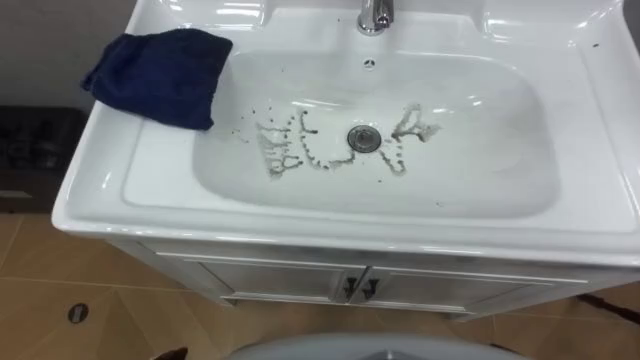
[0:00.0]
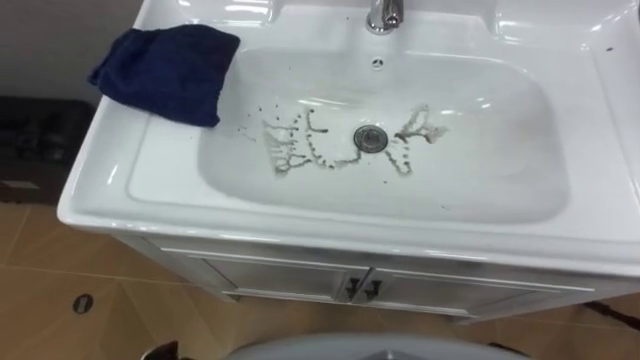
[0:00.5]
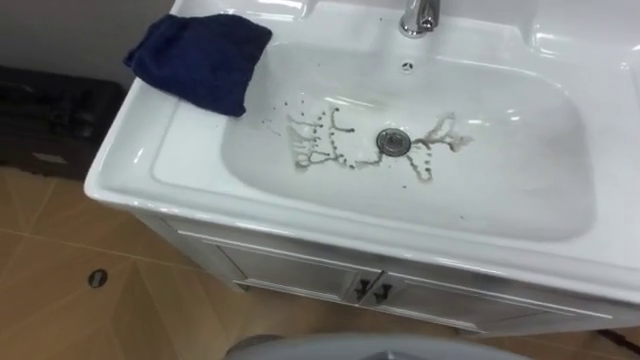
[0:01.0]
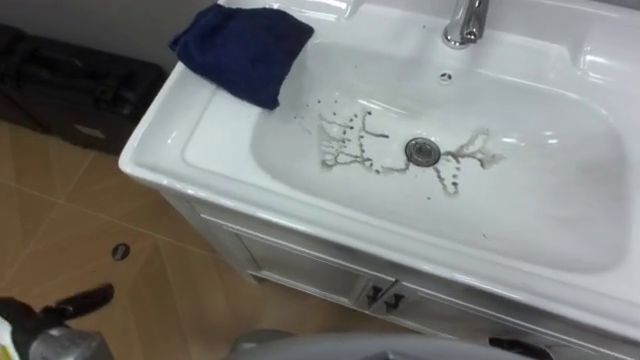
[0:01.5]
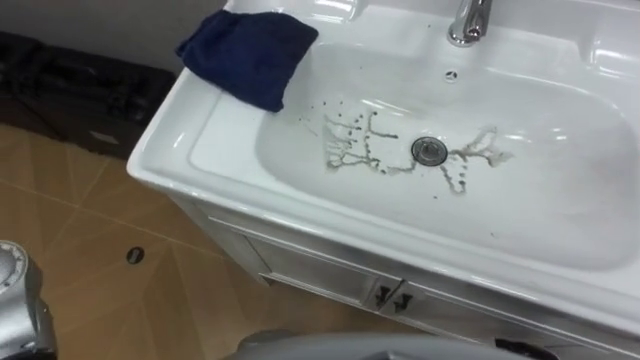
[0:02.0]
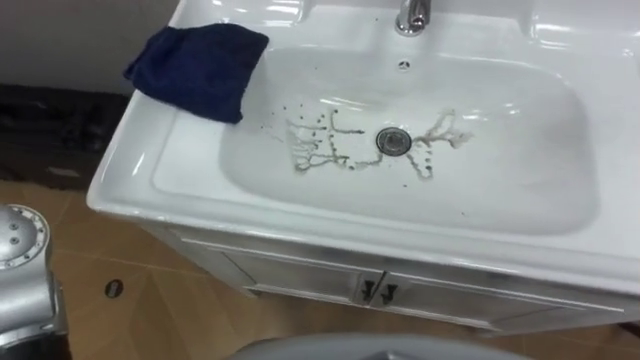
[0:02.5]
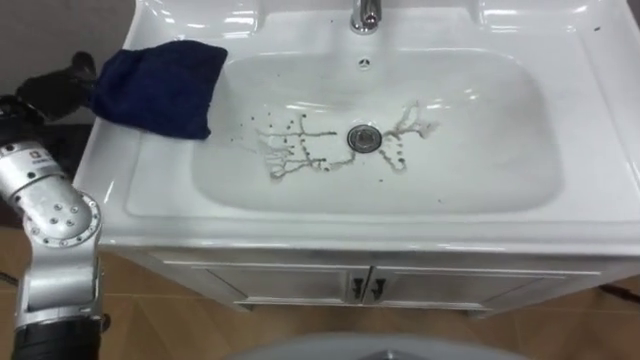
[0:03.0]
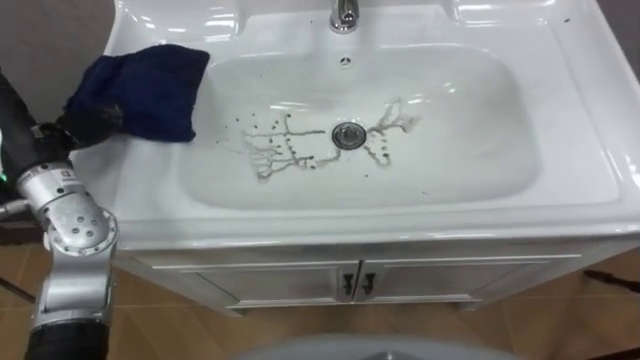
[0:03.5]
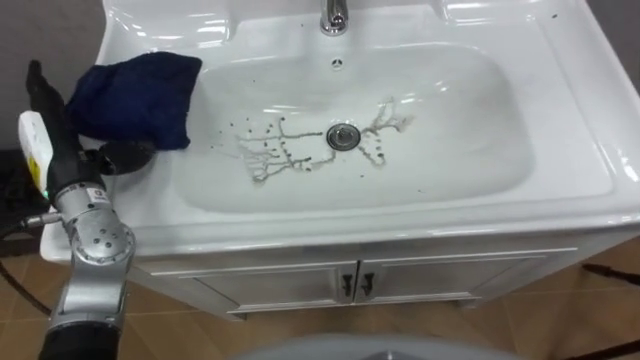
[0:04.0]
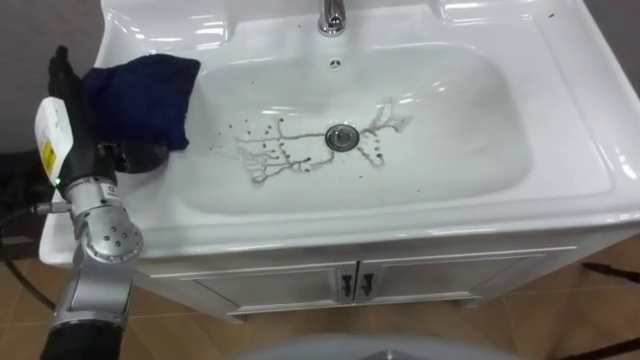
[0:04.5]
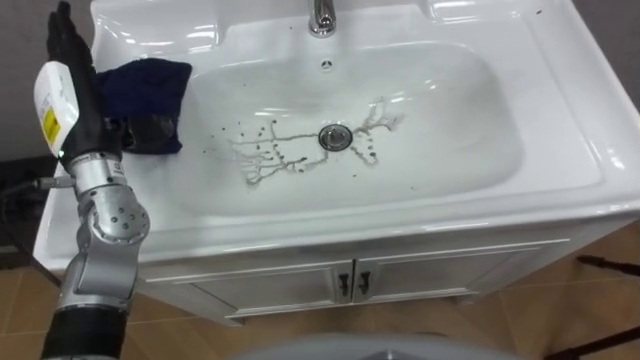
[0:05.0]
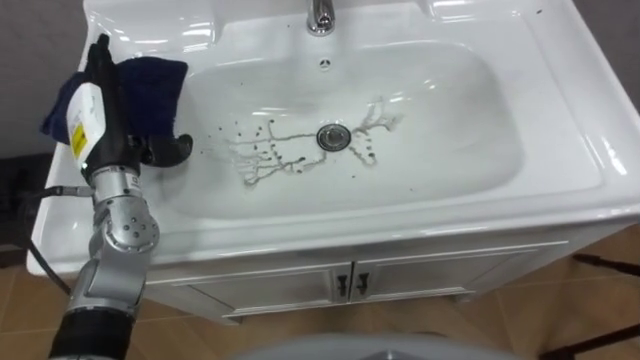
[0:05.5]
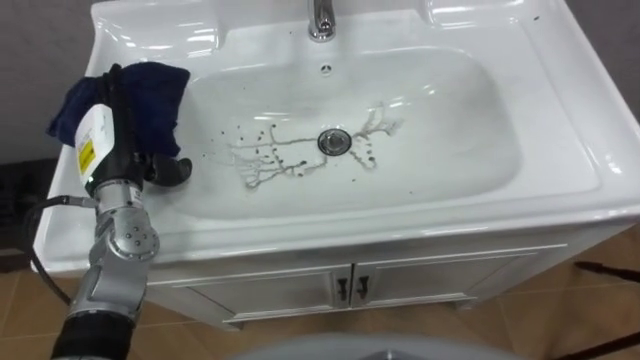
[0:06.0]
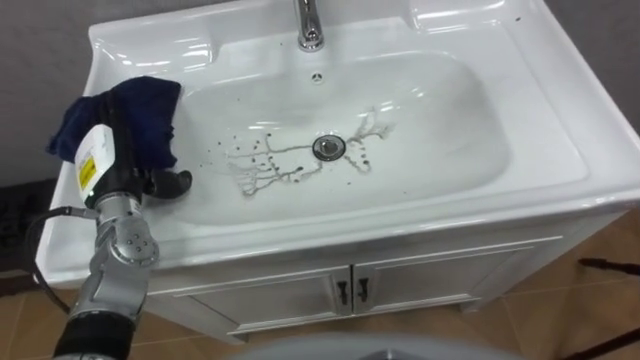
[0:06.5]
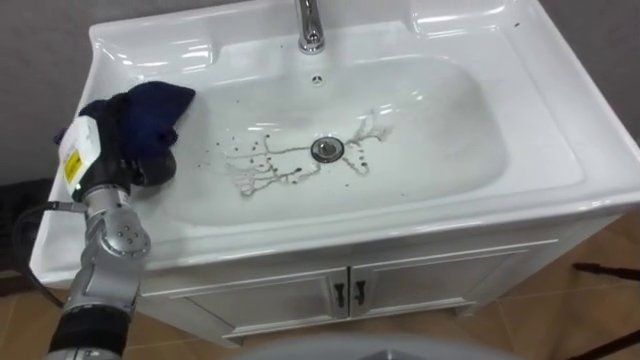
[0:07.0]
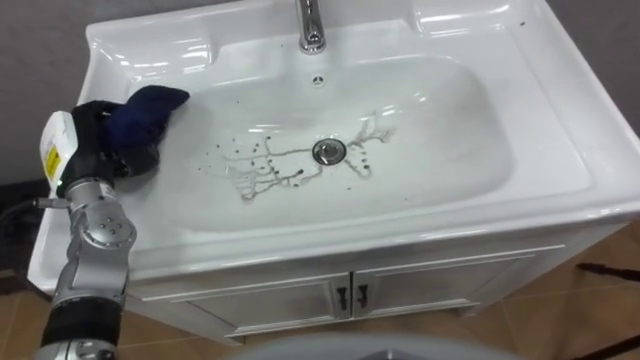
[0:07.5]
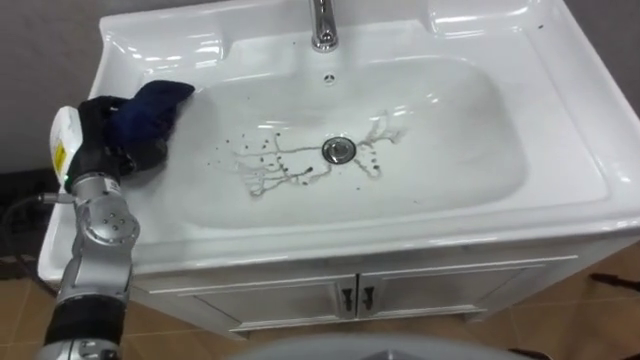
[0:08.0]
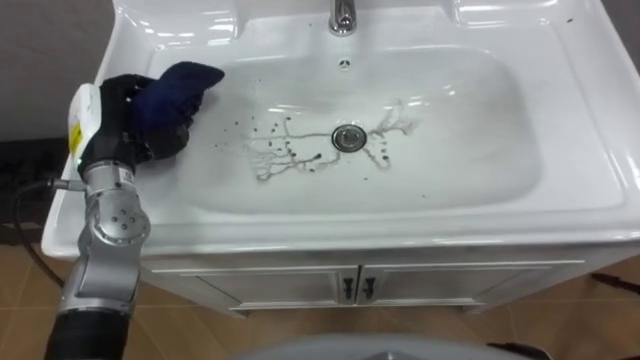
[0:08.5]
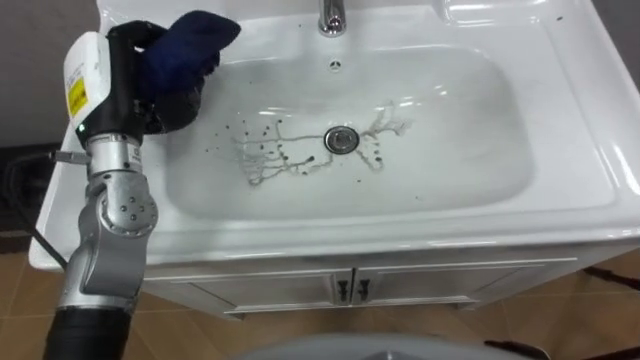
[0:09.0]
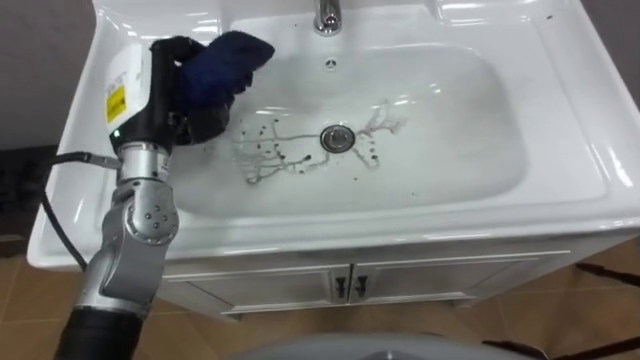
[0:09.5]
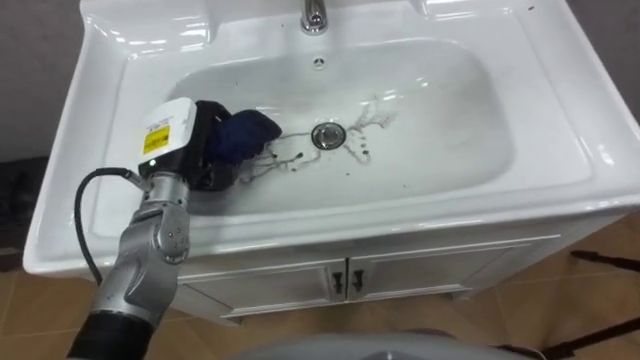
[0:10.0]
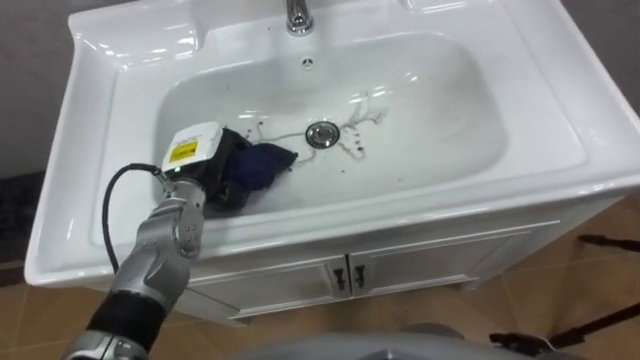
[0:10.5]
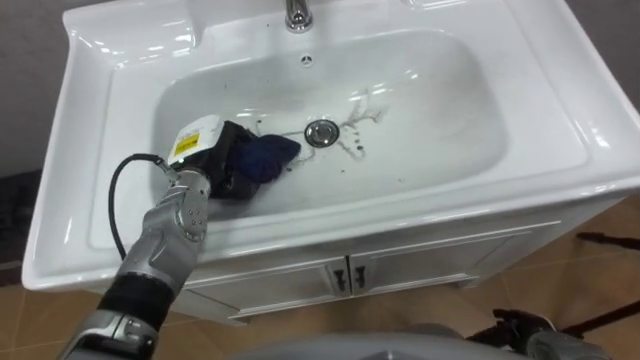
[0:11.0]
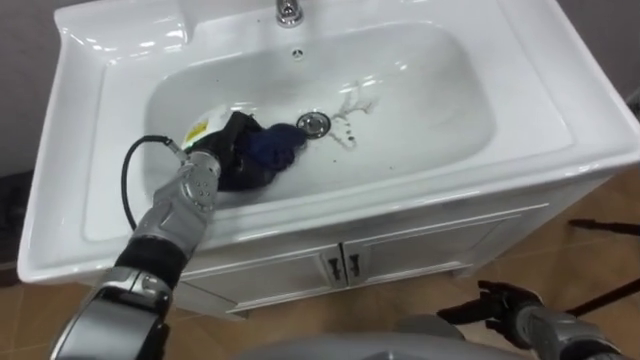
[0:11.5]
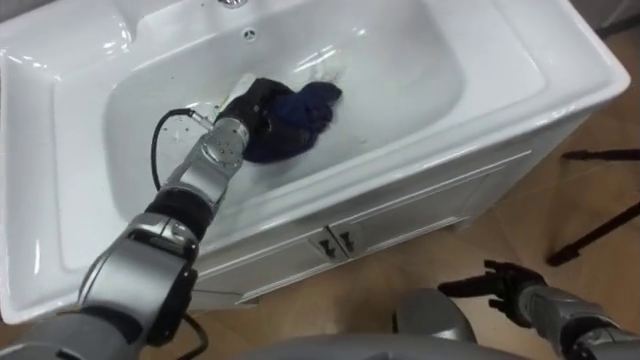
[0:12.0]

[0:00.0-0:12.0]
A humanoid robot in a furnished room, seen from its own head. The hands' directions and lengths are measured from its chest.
Task of the whole recording: Use the cloth on the right to wipe away the black stain in the sink.
0:04.0 to 0:06.0: The left hand changes place by some 5 cm.
0:06.0 to 0:08.0: The left hand closes.
0:08.0 to 0:10.0: The left hand shifts some 10 cm to the right.
0:10.0 to 0:12.0: The left hand goes some 10 cm to the right and forward.

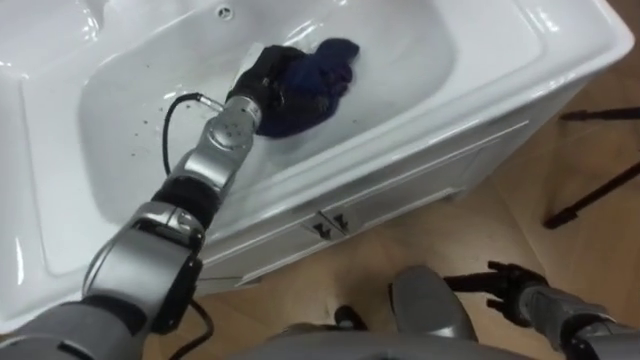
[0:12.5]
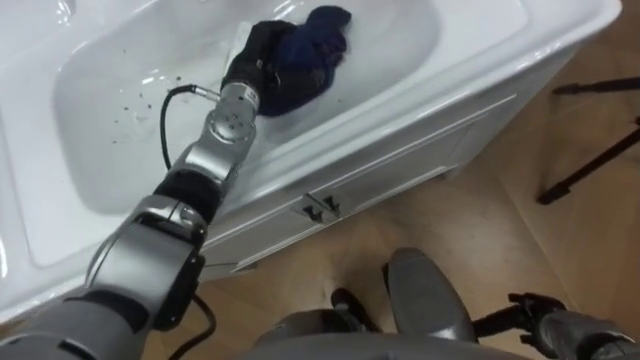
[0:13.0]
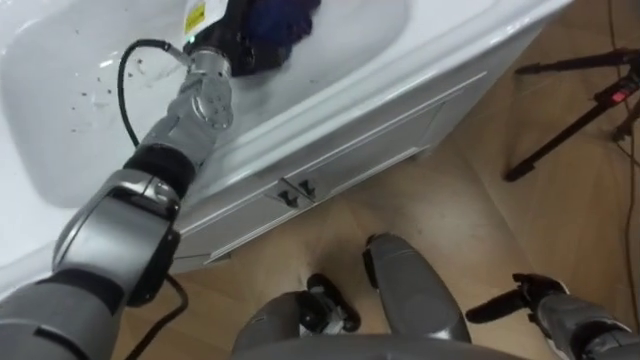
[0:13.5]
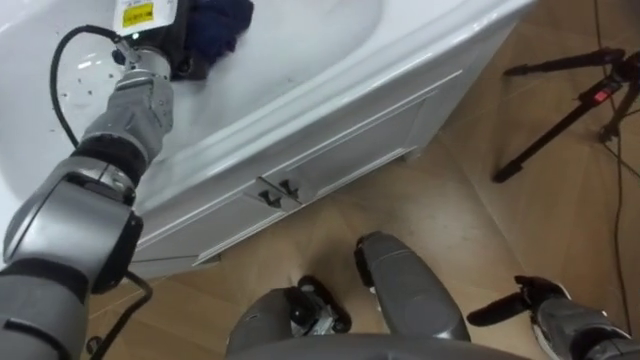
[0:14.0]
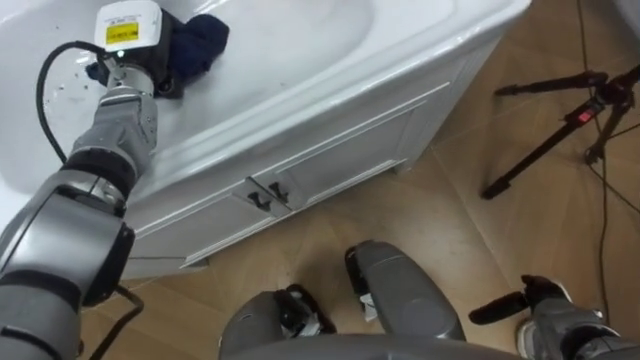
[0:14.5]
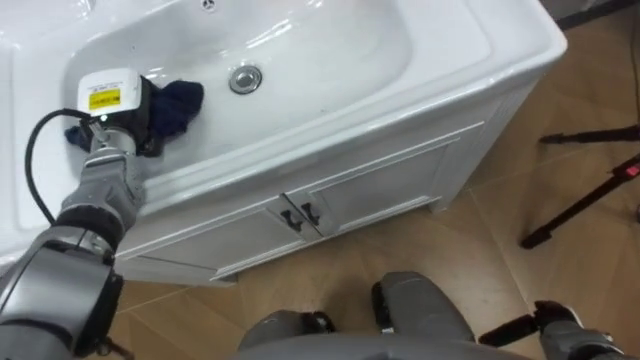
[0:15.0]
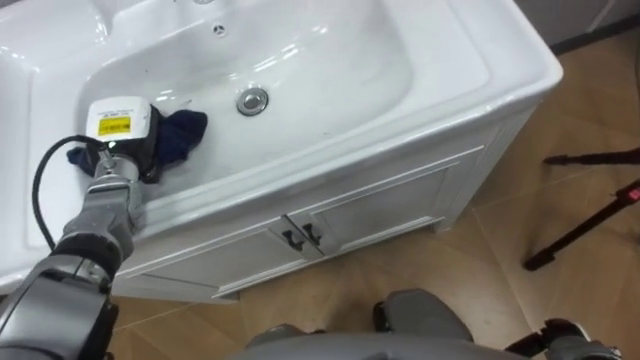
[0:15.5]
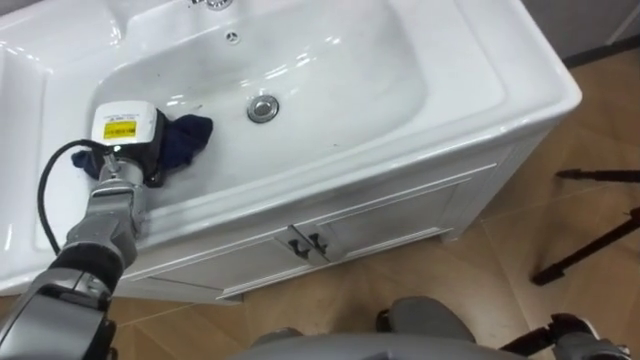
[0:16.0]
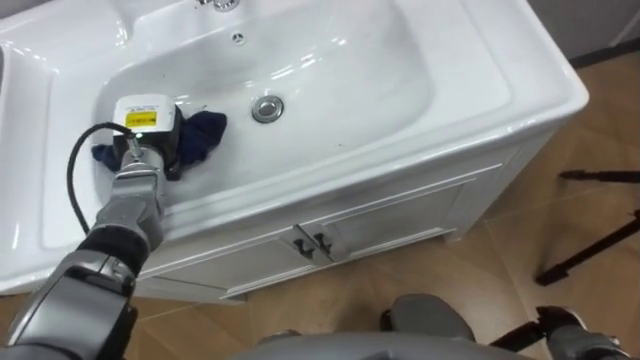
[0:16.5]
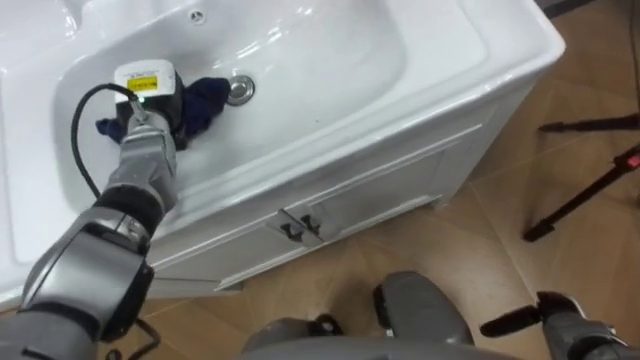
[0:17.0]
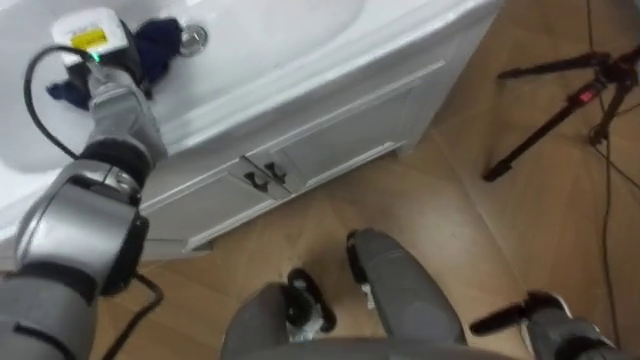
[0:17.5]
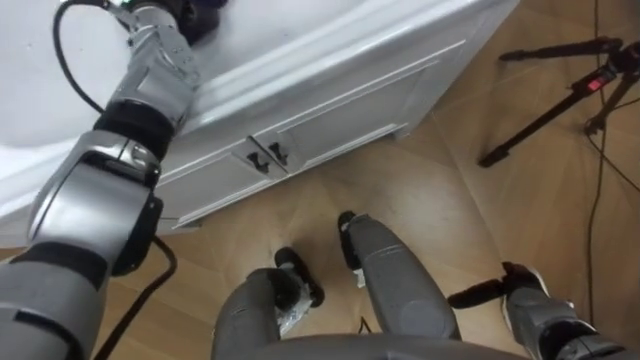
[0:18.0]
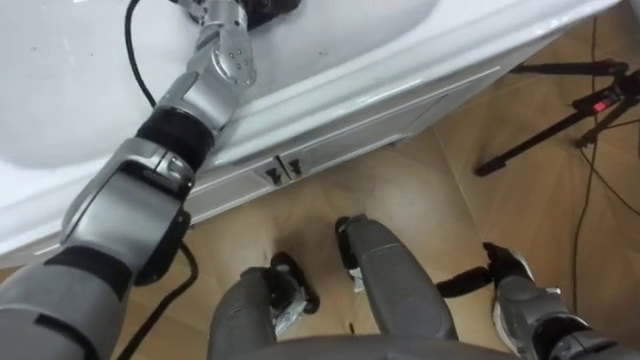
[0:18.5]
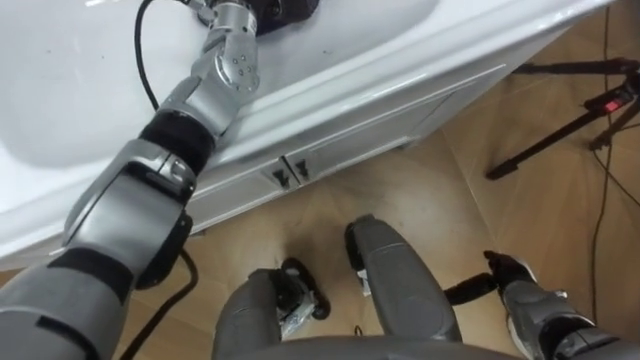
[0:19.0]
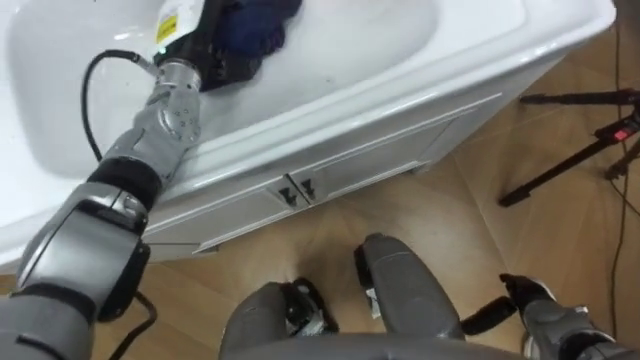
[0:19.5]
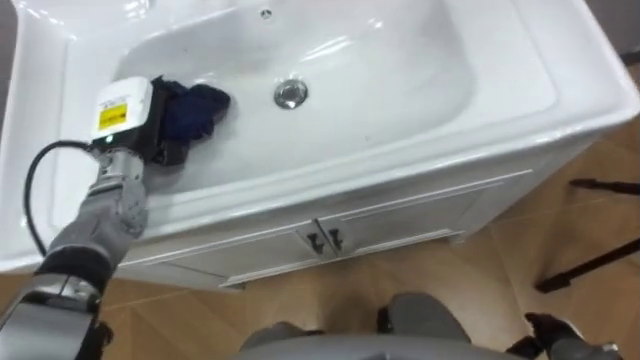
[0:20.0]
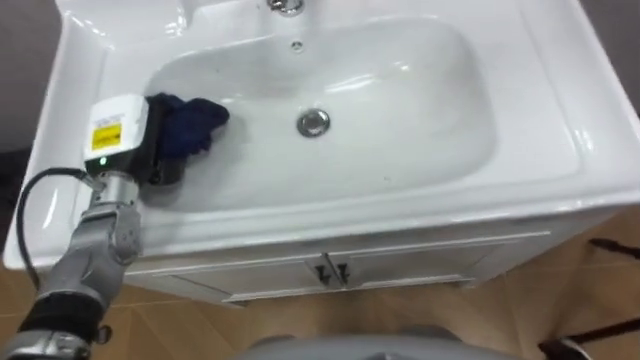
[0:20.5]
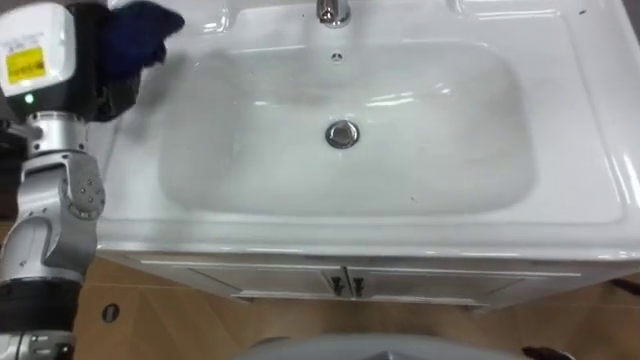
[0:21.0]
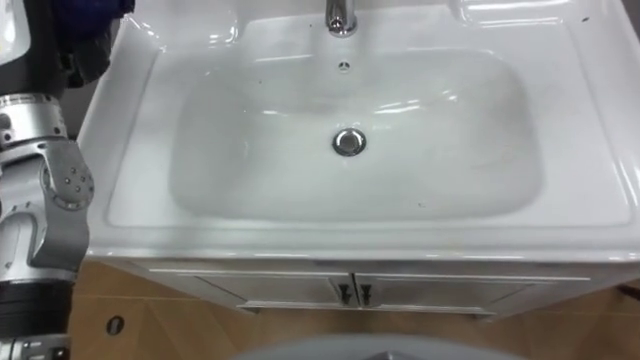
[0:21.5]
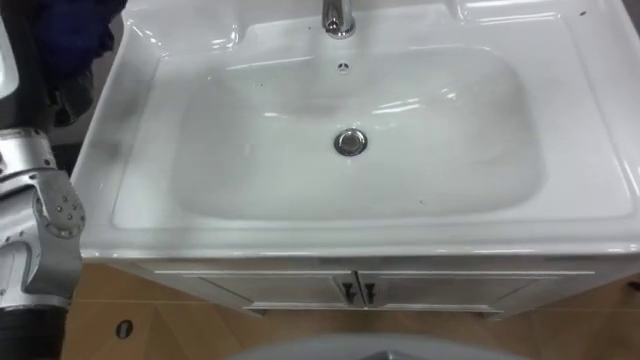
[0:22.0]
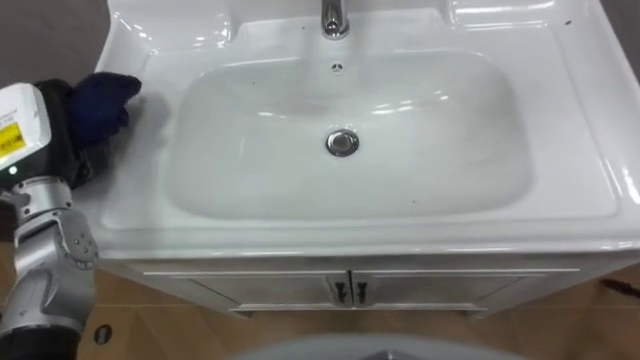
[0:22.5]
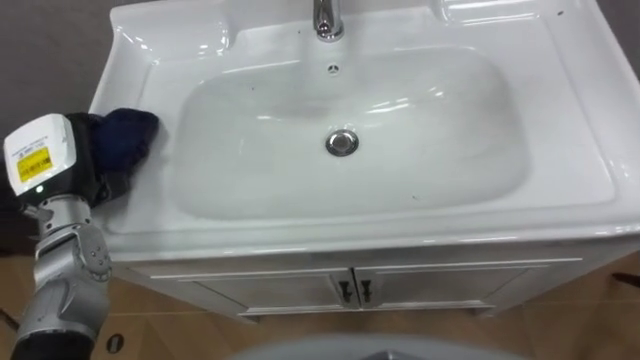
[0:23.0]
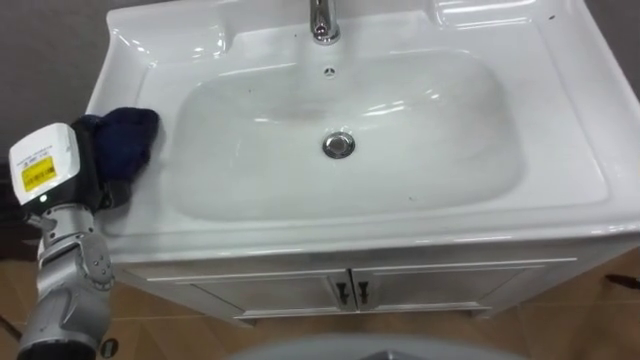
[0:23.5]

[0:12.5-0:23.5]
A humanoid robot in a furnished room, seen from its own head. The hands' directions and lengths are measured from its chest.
Task of the whole recording: Use the cloth on the right to wipe away the black stain in the sink.
0:12.5 to 0:14.5: The left hand goes approximately 15 cm to the left.
0:14.5 to 0:16.0: The right hand travels backward by approximately 5 cm. Meanwhile the left hand shifts some 10 cm backward and downward.
0:16.0 to 0:18.0: The right hand goes approximately 10 cm forward and to the left.
0:18.0 to 0:20.0: The right hand is displaced backward by approximately 5 cm.
